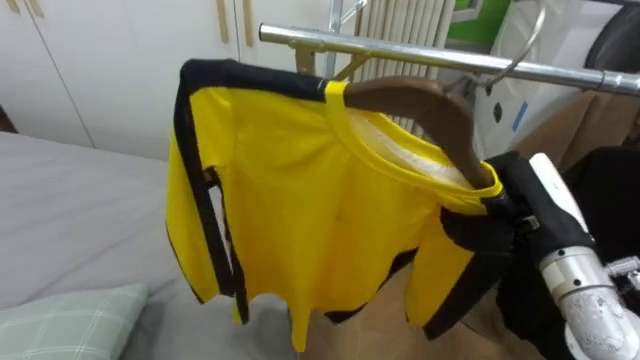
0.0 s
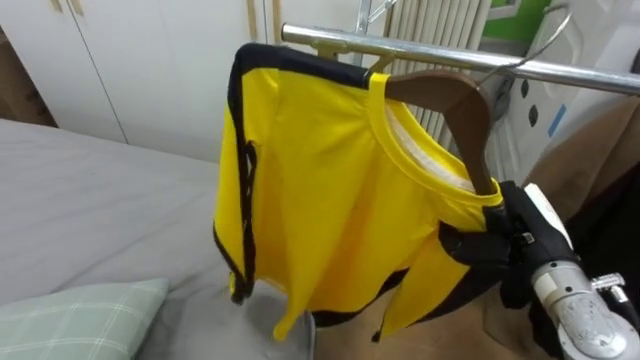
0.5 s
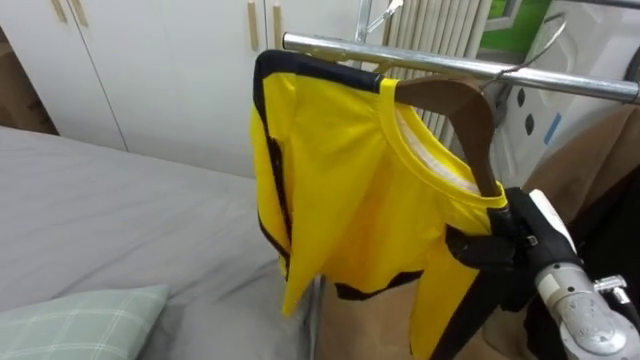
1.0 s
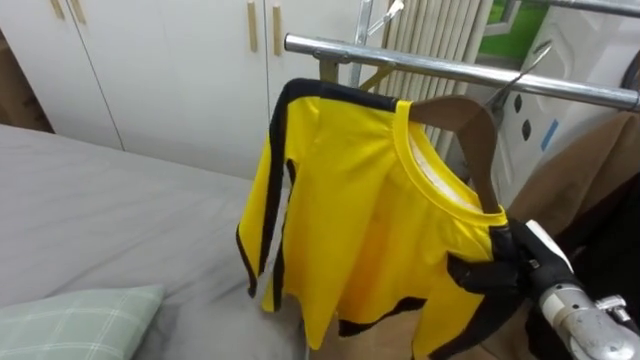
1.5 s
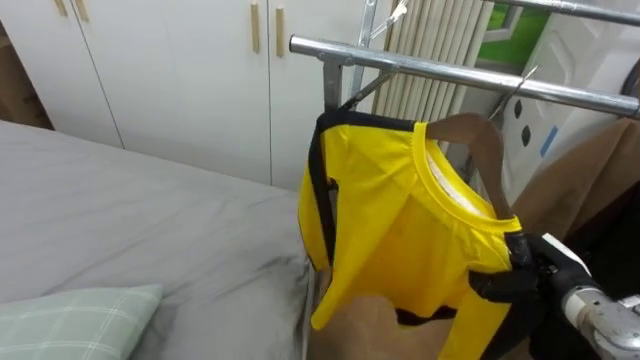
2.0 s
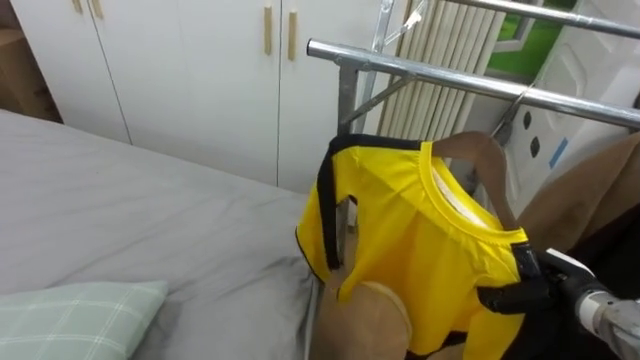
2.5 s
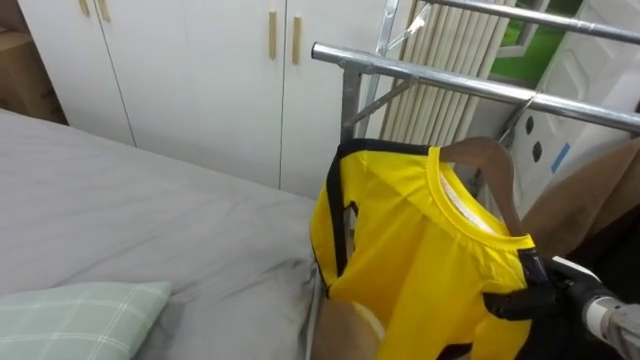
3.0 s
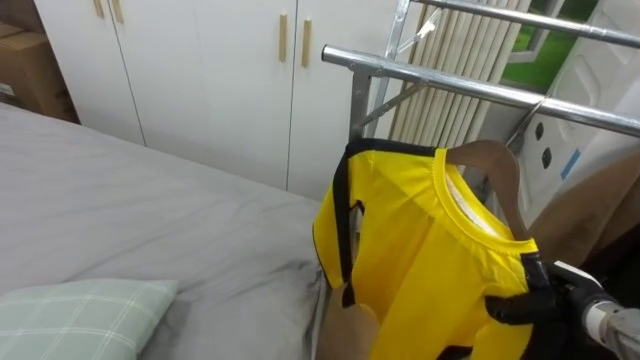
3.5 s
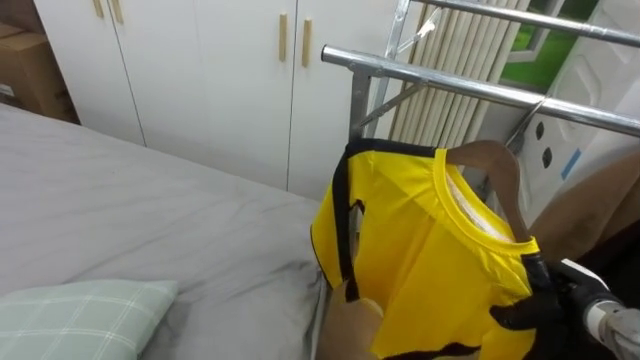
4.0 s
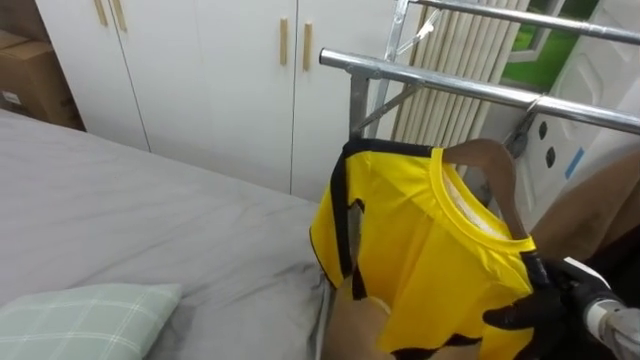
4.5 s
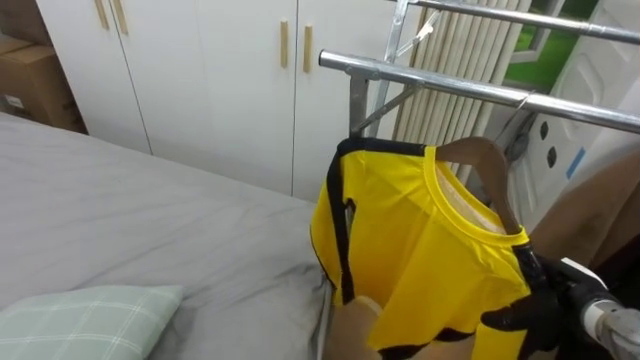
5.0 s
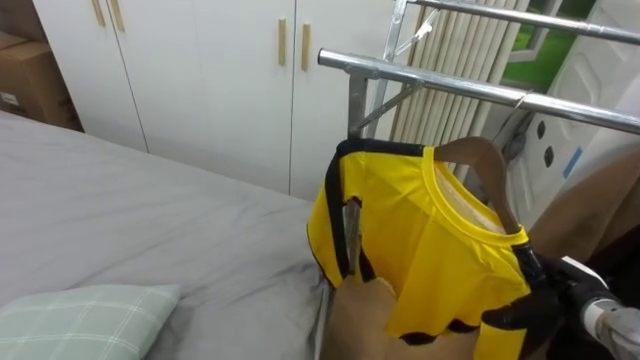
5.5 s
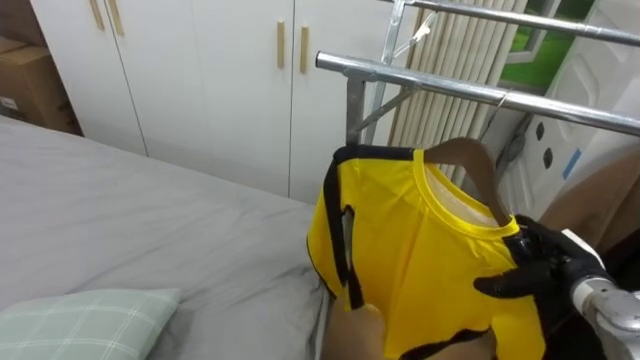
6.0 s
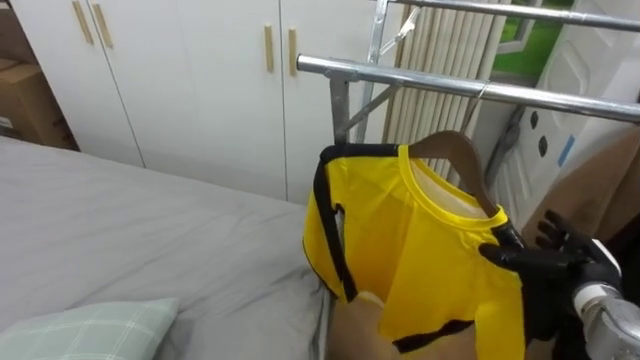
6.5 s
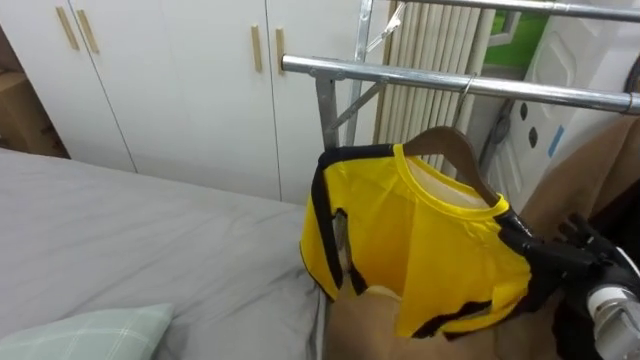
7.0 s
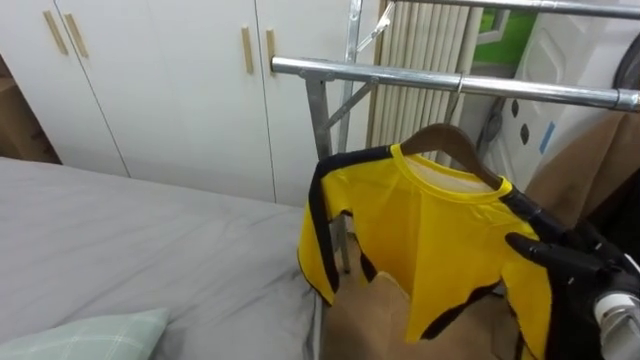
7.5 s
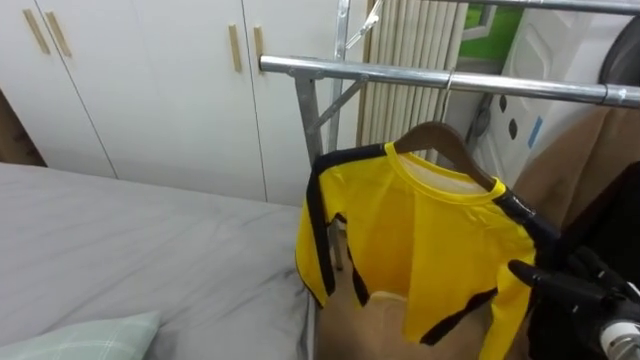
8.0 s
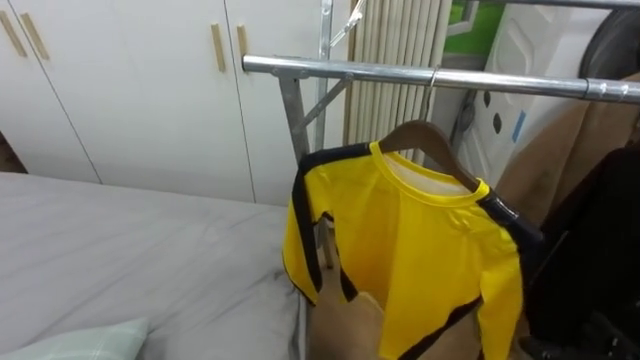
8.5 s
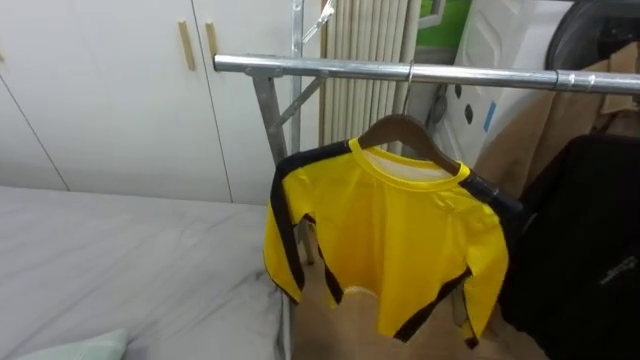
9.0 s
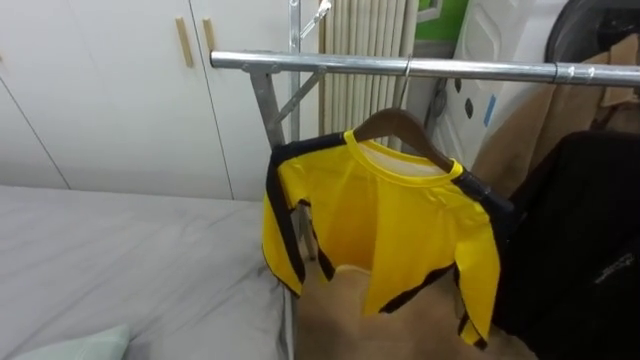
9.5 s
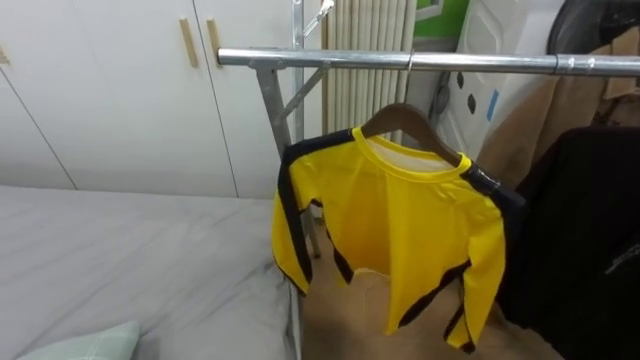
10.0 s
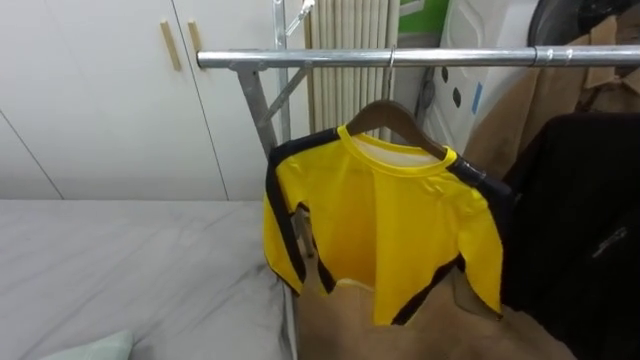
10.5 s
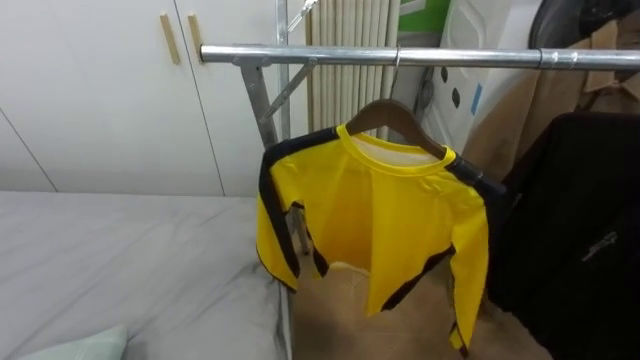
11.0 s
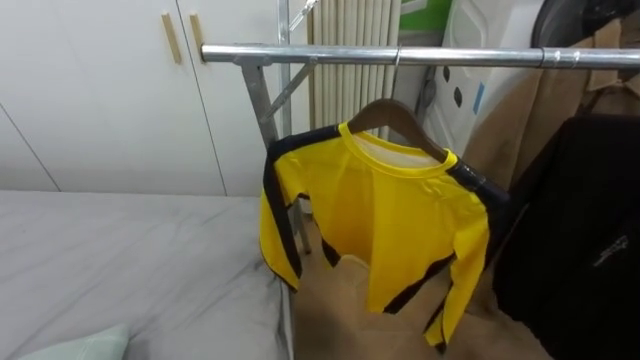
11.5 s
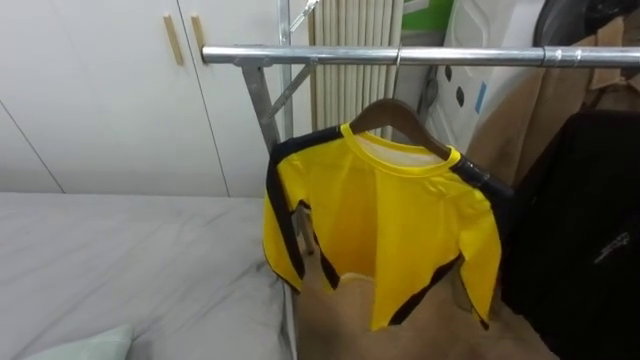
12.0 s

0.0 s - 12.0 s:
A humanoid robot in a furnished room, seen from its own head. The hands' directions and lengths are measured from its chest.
Task of the whole recording: Pick up the yellow shirt on the bed and hang it on the clothes rack on the right.
0.0 s - 2.0 s: The right hand shifts approximately 15 cm downward and to the right.
4.0 s - 6.0 s: The right hand opens.
6.0 s - 8.0 s: The right hand moves approximately 5 cm.

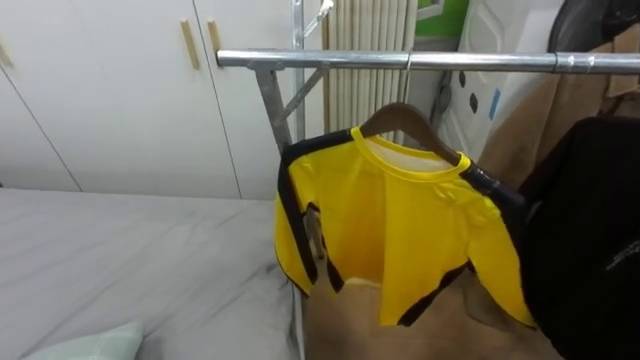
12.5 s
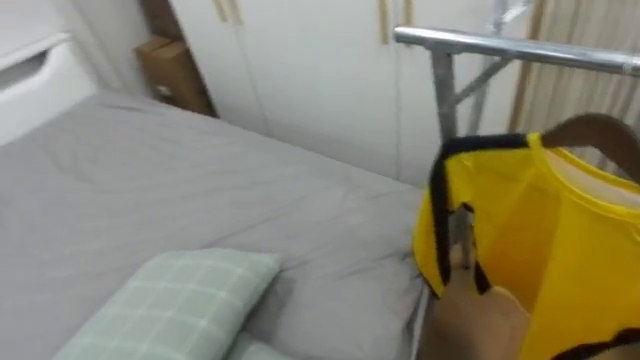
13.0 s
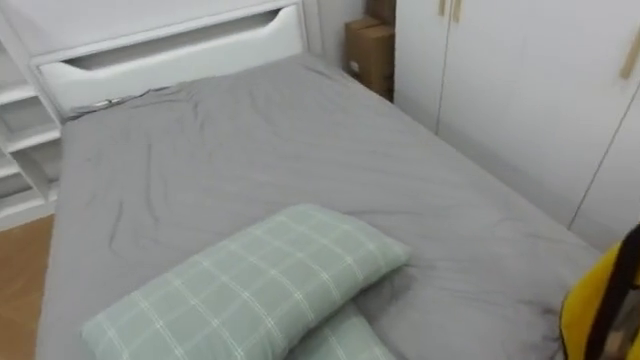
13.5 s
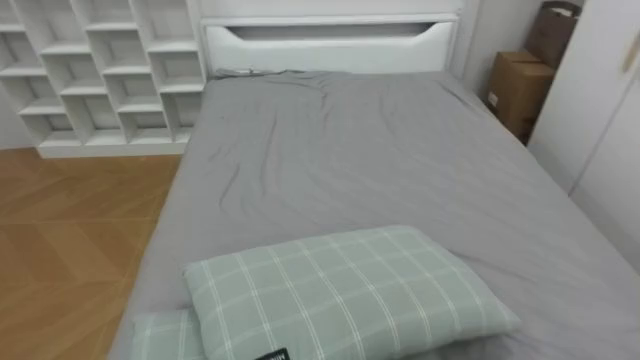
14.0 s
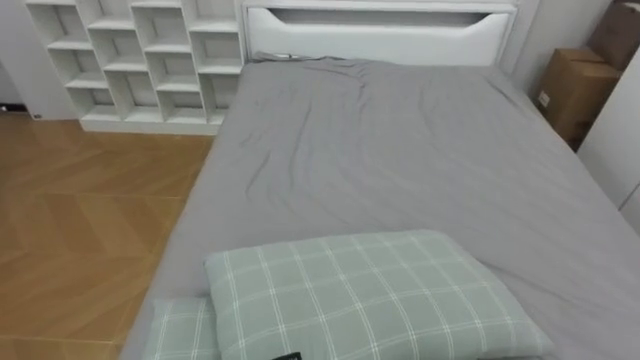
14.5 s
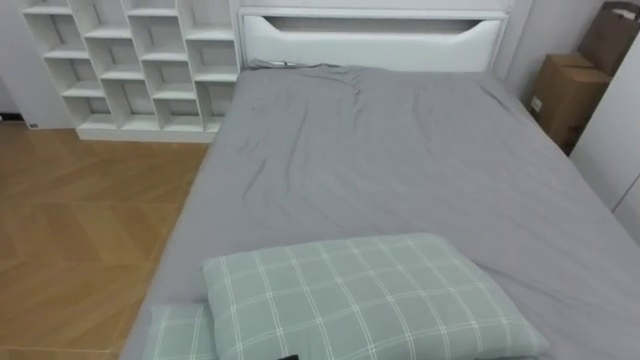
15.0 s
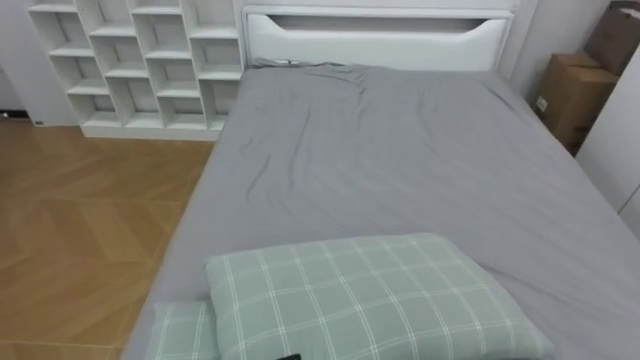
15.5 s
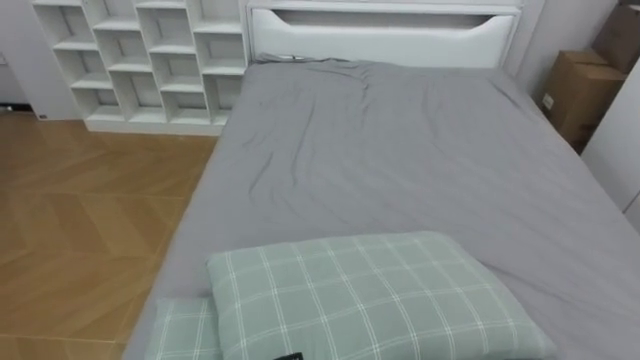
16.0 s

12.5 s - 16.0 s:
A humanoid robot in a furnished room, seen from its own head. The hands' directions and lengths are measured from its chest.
Task of the whole recording: Pick up the yellow shirt on the bed and hang it on the clothes rack on the right.
12.5 s - 14.5 s: The robot turns to its left by about 85 degrees.

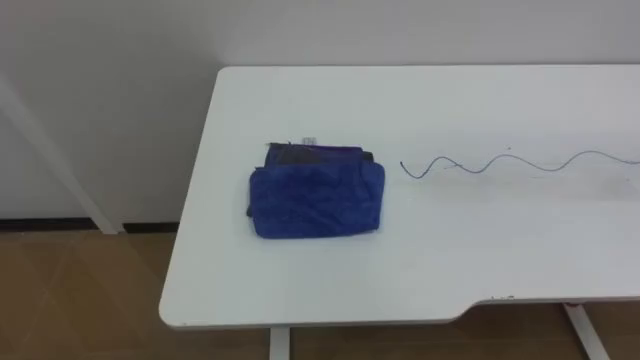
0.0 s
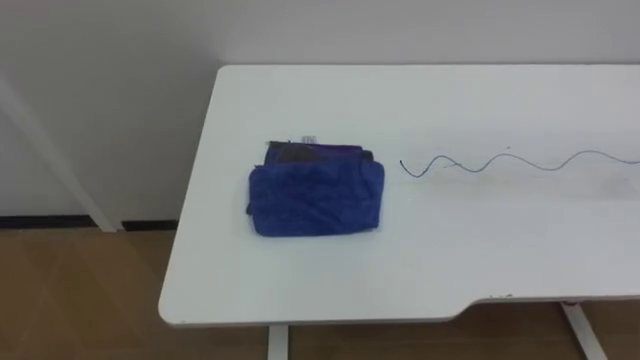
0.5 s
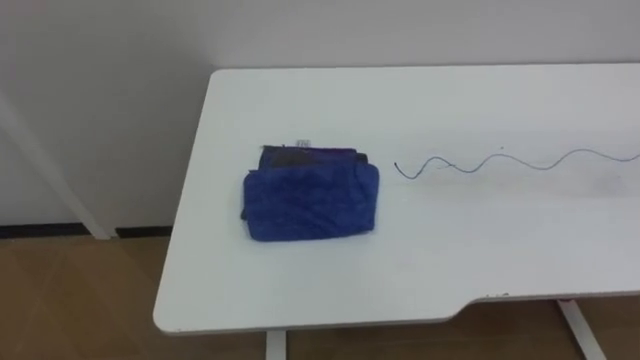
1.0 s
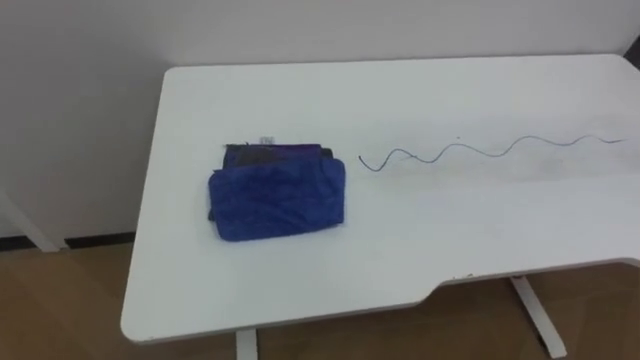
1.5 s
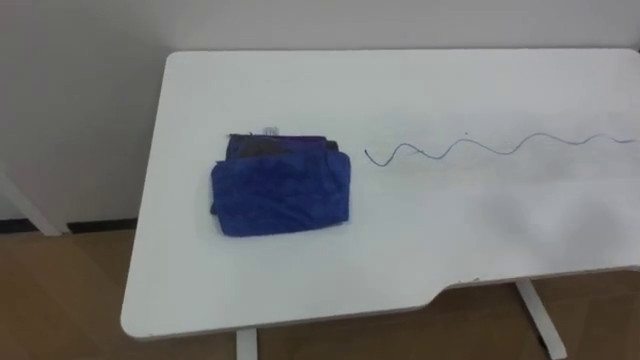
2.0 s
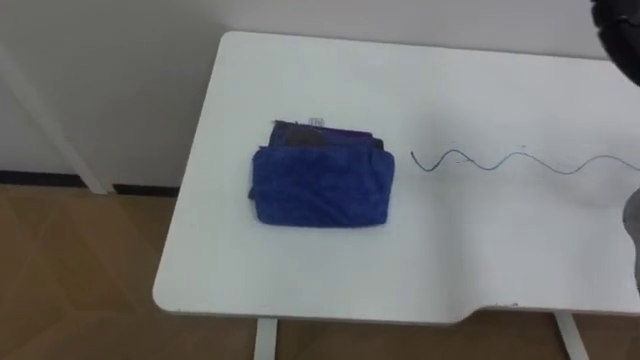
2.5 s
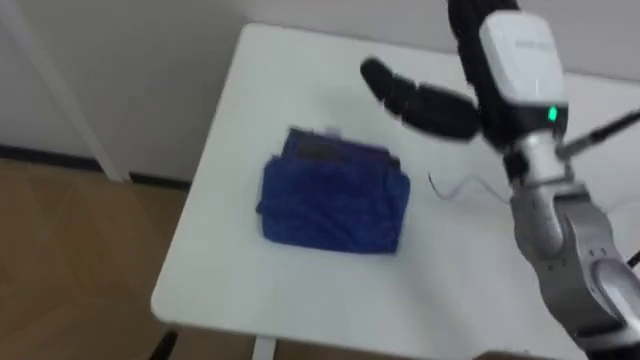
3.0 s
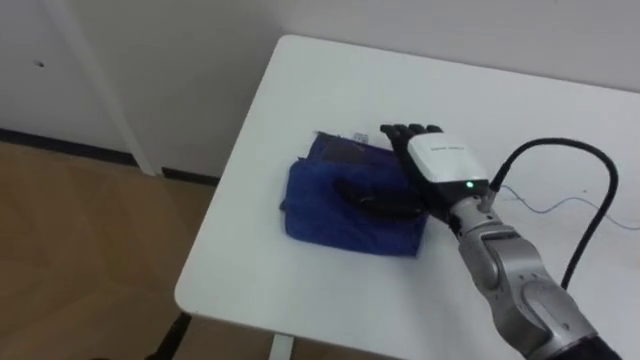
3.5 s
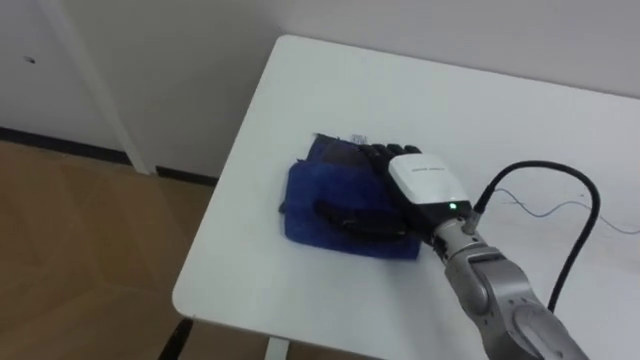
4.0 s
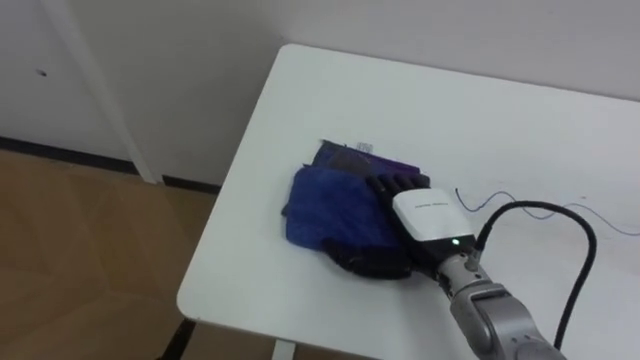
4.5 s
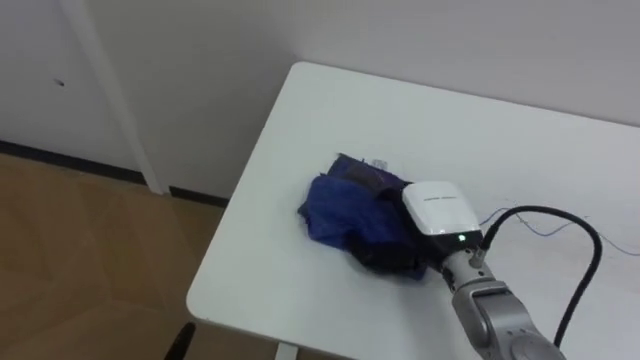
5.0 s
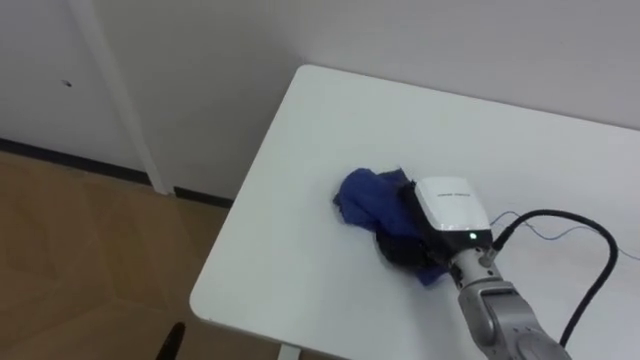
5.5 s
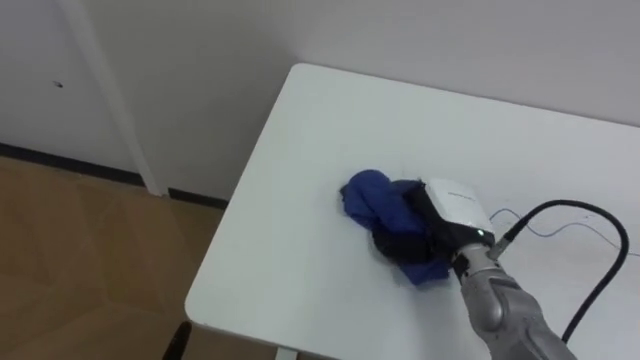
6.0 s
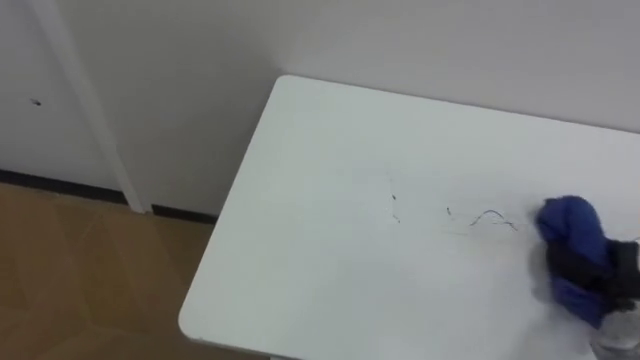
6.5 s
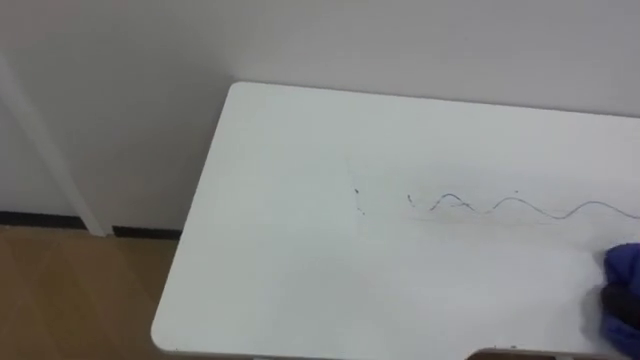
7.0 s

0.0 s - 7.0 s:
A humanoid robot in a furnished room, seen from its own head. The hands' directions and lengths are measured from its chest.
Task of the whole recording: Wipe the blue pen marks off the table with the rag.
3.5 s - 5.0 s: The right hand moves downward, approximately 5 cm.
